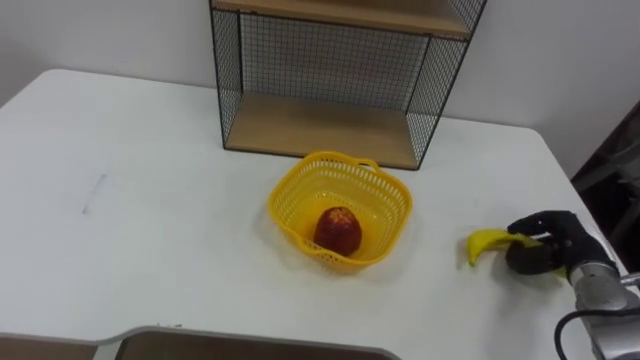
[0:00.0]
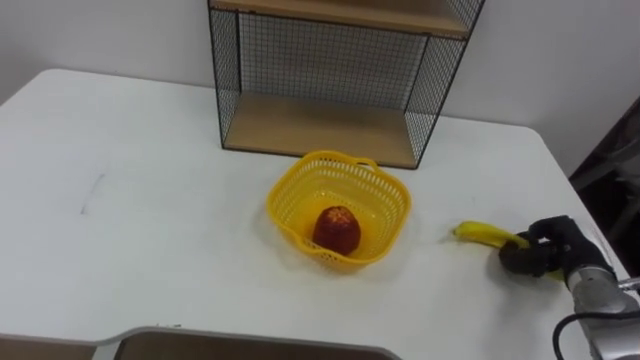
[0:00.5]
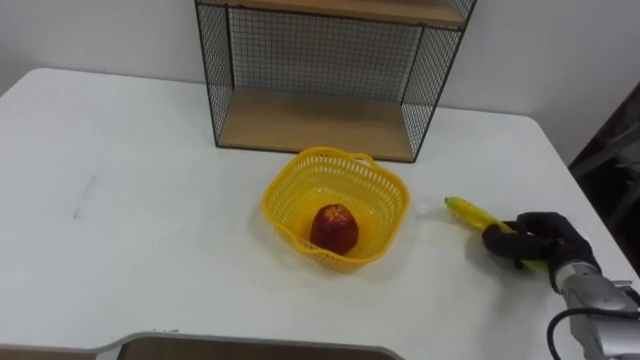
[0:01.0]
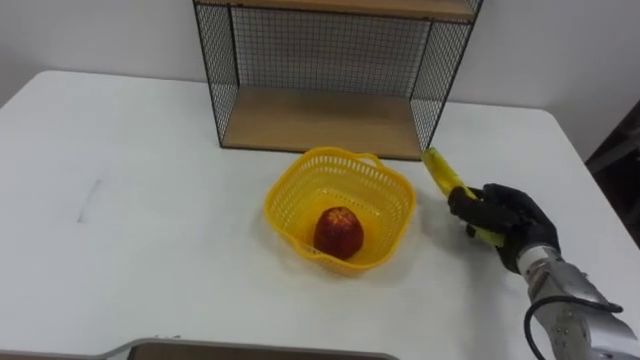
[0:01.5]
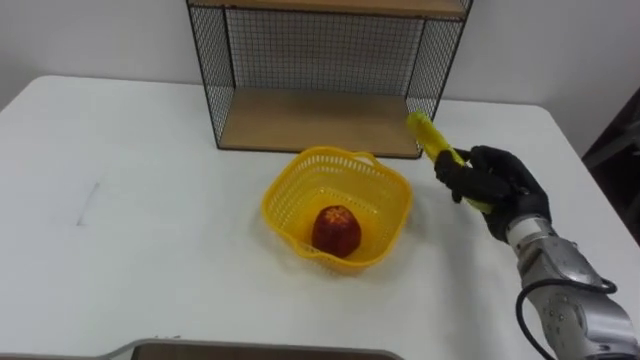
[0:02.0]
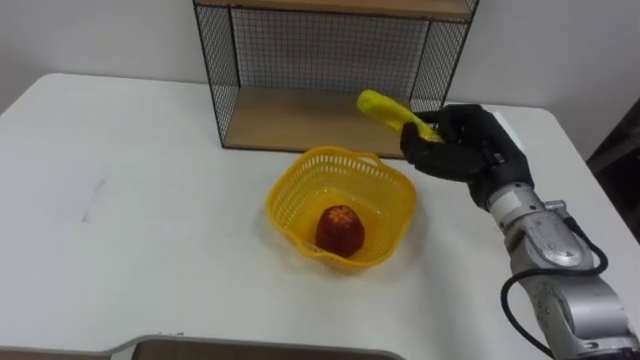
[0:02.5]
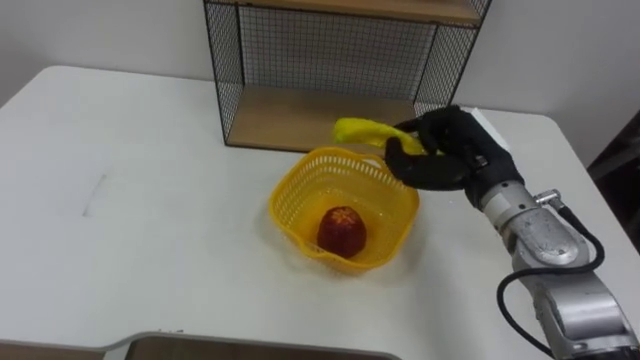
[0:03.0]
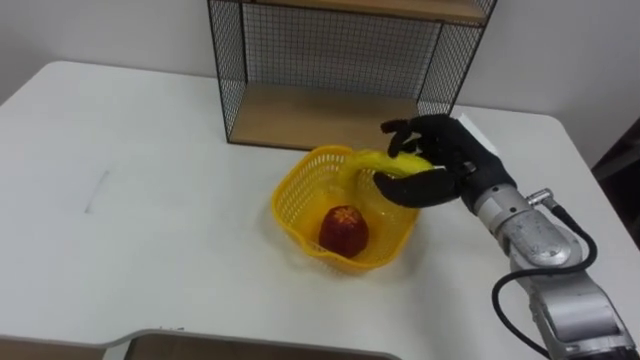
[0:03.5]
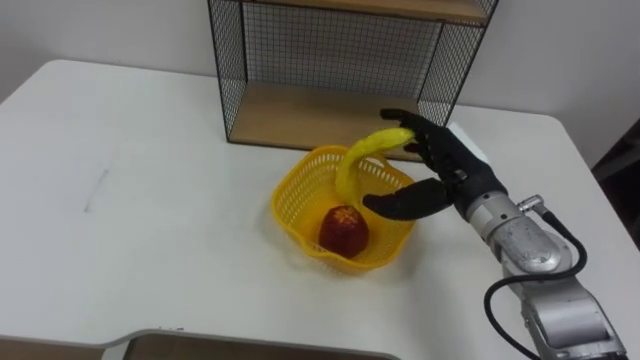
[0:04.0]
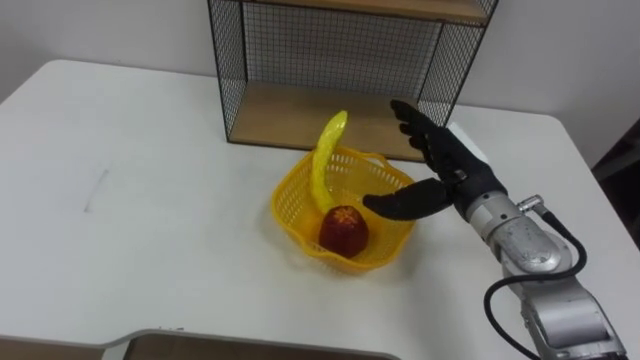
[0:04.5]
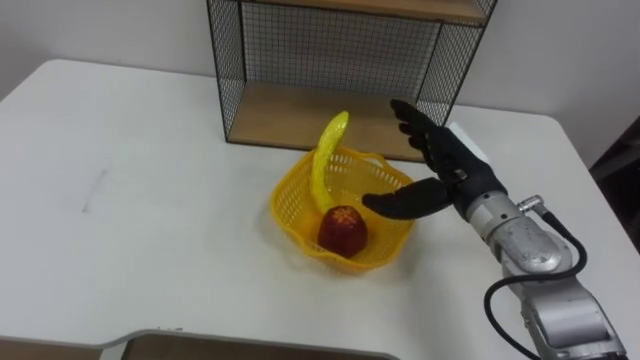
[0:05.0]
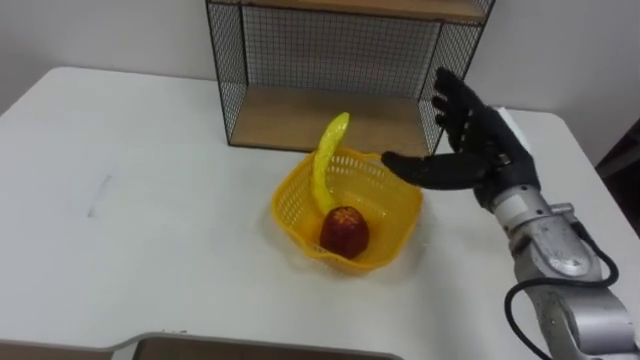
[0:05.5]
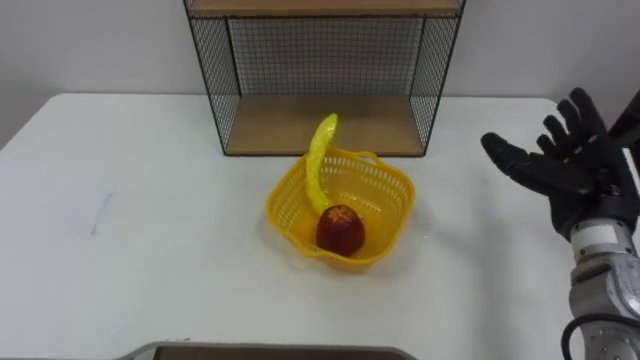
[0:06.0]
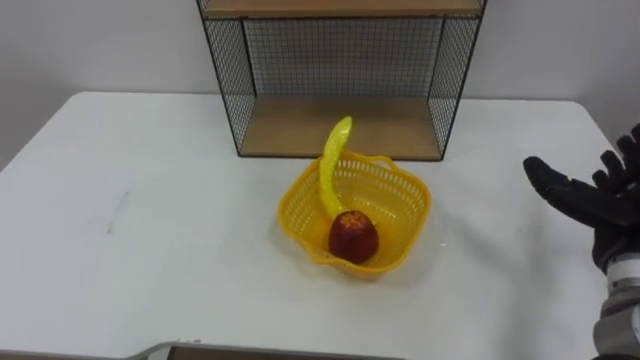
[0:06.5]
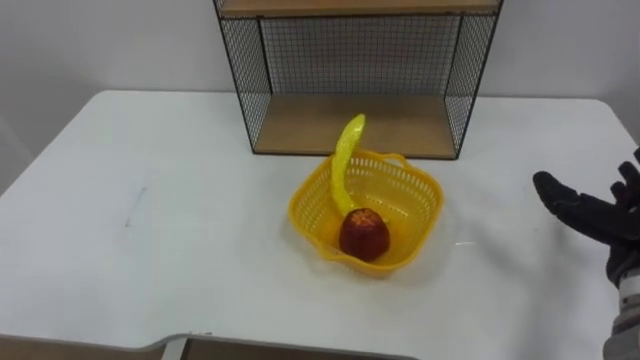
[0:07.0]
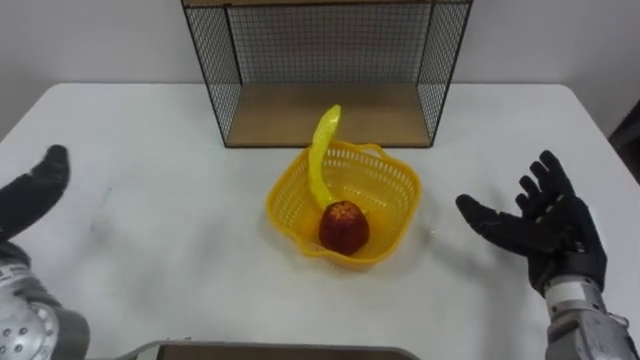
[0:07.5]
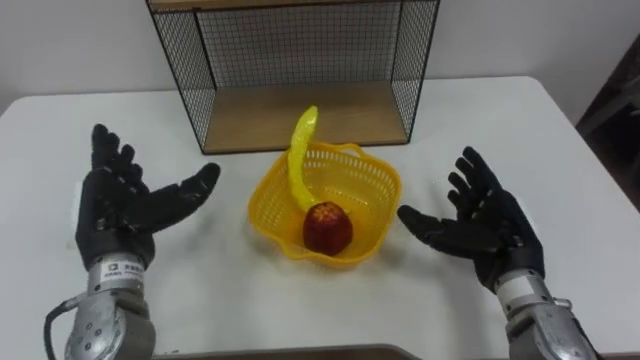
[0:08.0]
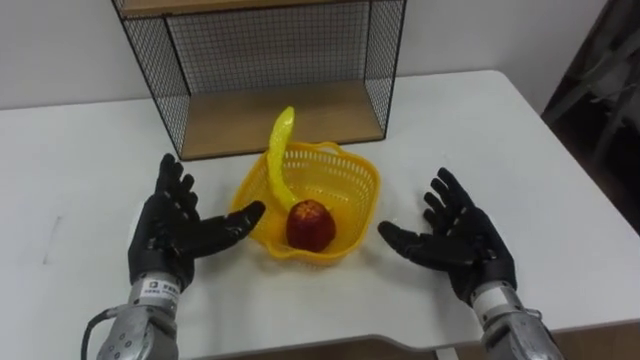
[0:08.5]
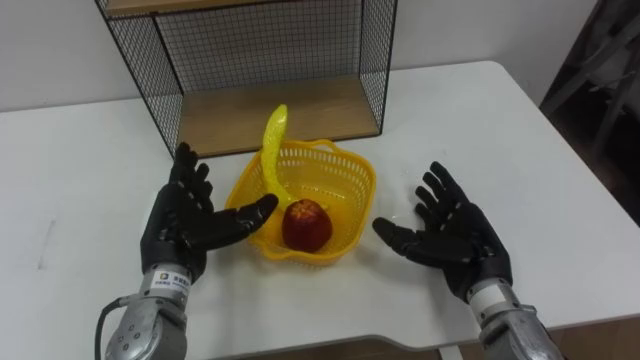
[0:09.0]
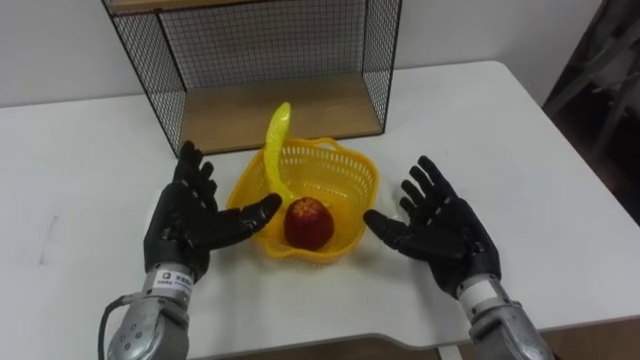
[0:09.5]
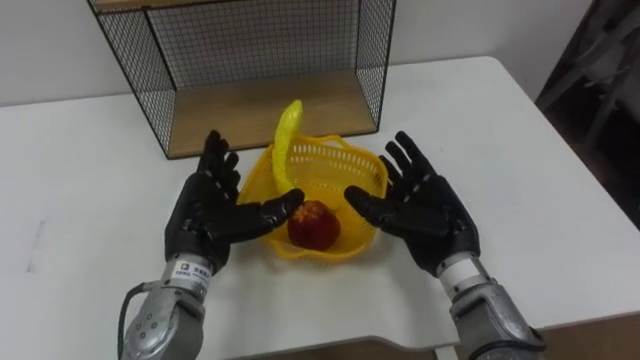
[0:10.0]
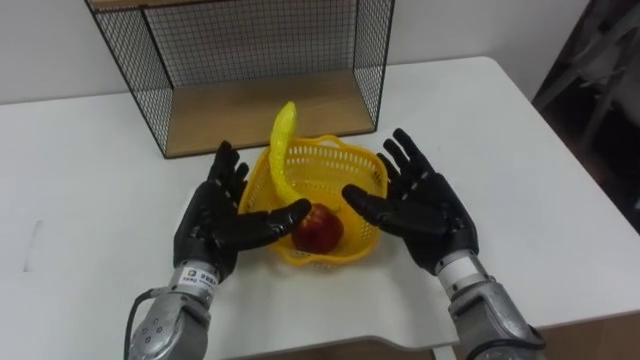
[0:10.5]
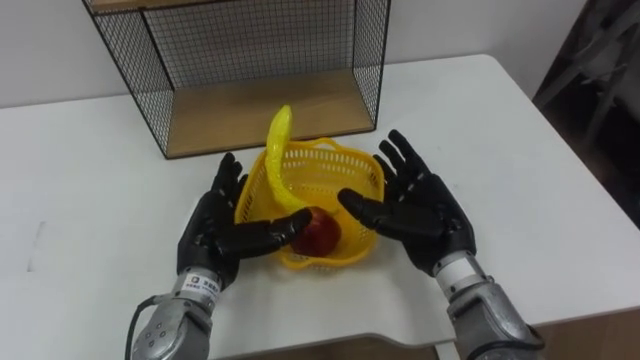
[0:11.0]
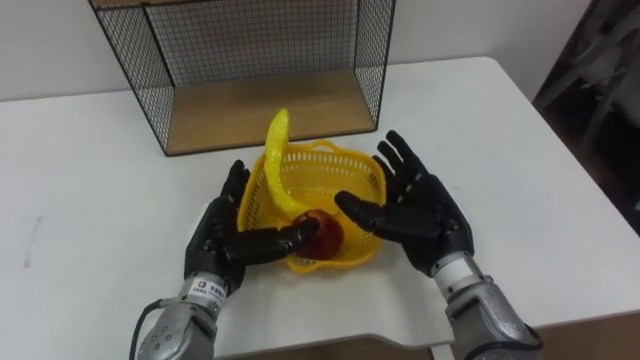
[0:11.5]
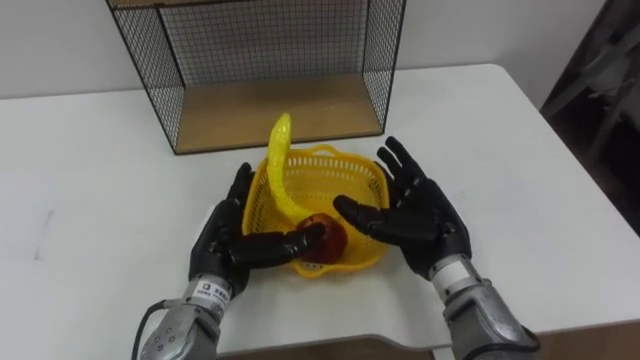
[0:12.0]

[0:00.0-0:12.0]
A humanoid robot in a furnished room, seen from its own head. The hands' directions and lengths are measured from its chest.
Task of the whole recording: Put the fruit on the table into the basket, then place the basket on the shelf.
0:00.0 to 0:02.0: The right hand goes about 10 cm to the left and upward.
0:02.0 to 0:04.0: The right hand is displaced to the left and upward by about 10 cm, and opens its fingers.
0:04.0 to 0:06.0: The right hand is displaced to the right by about 15 cm.
0:08.0 to 0:10.0: The left hand travels to the right by roughly 10 cm, while the right hand travels to the left by some 5 cm.

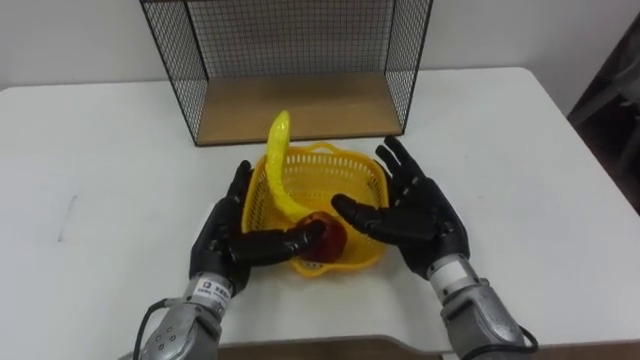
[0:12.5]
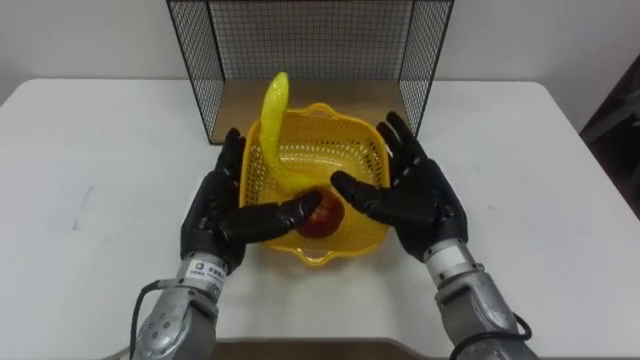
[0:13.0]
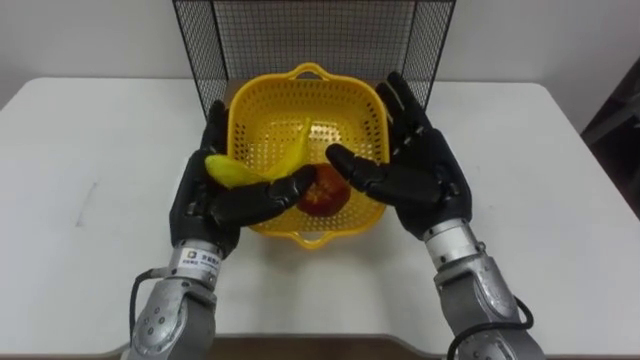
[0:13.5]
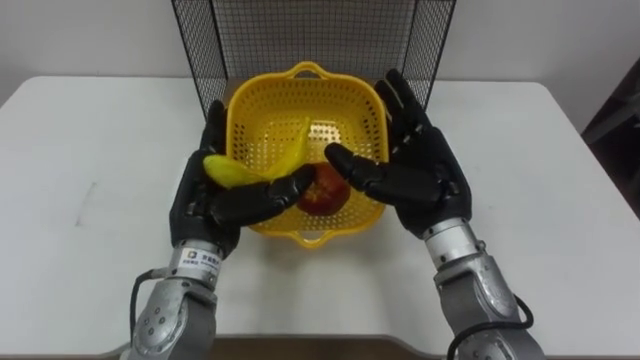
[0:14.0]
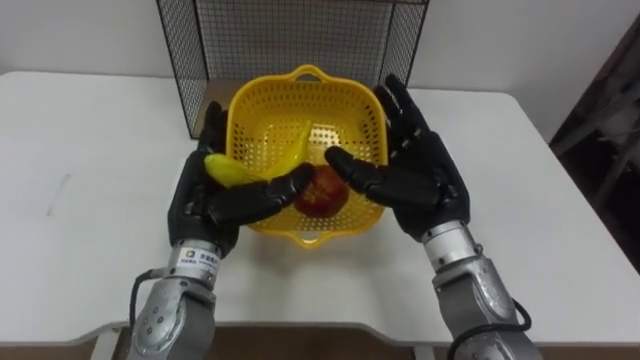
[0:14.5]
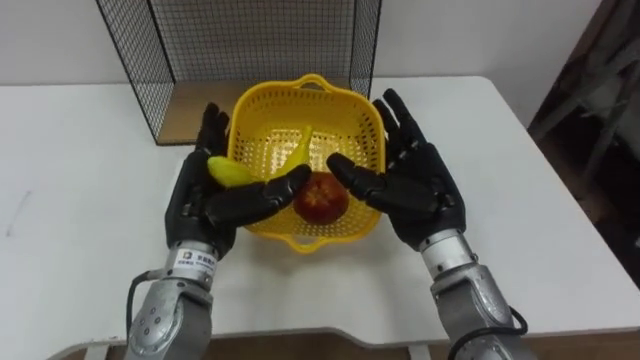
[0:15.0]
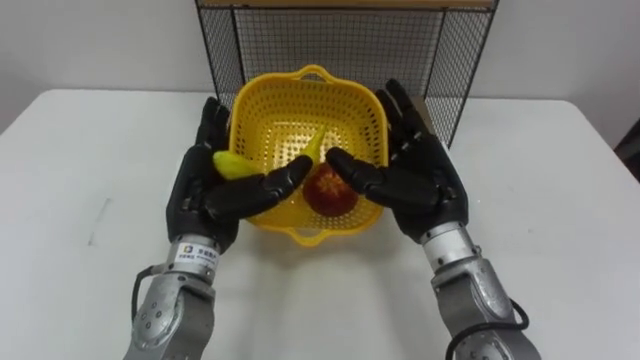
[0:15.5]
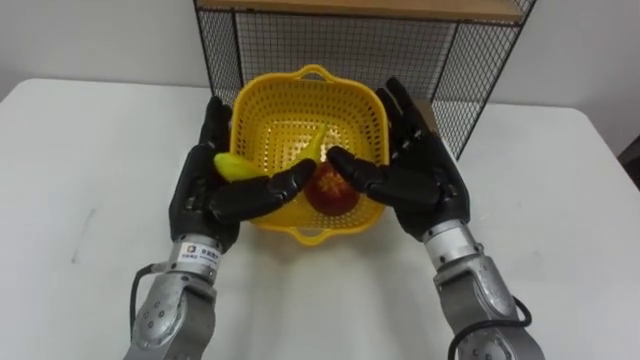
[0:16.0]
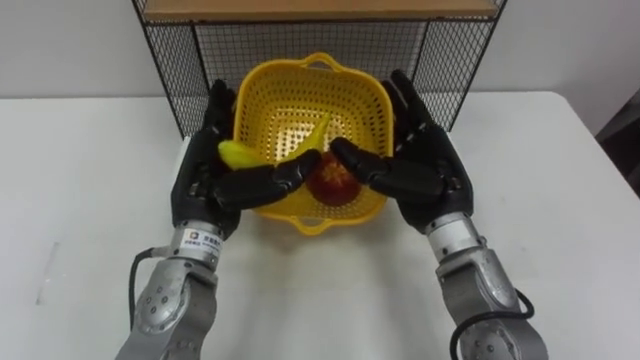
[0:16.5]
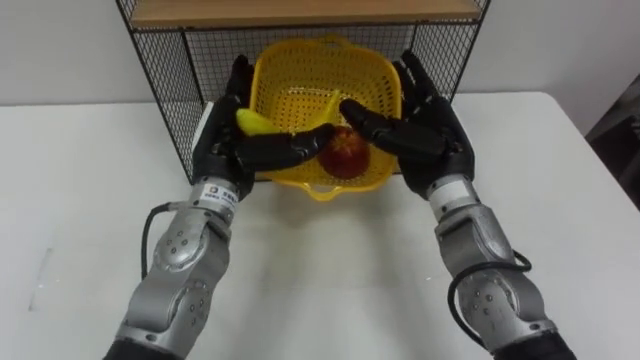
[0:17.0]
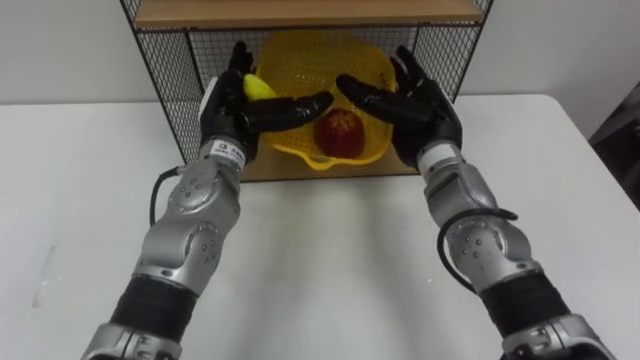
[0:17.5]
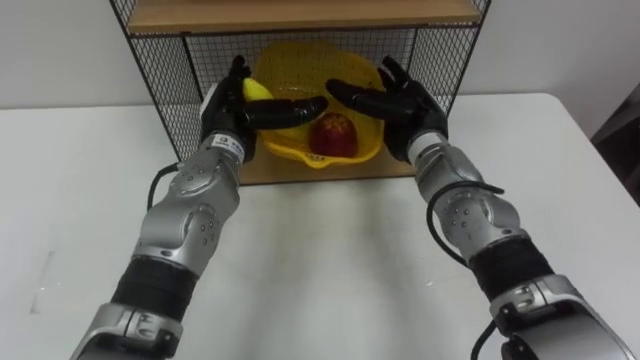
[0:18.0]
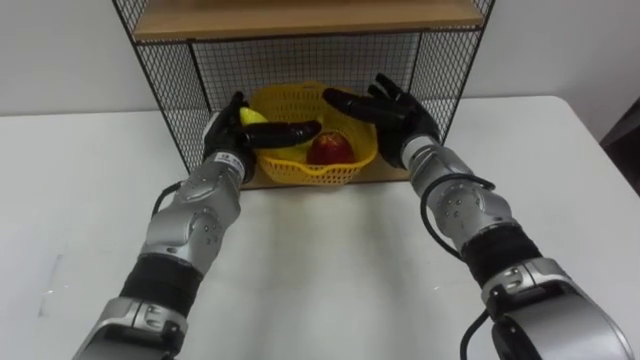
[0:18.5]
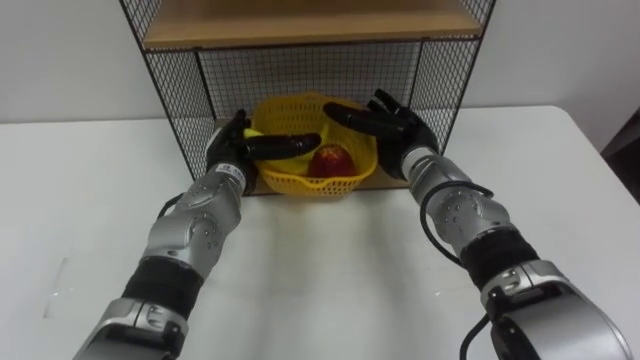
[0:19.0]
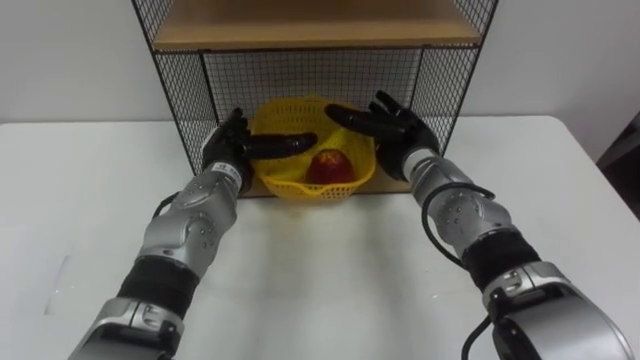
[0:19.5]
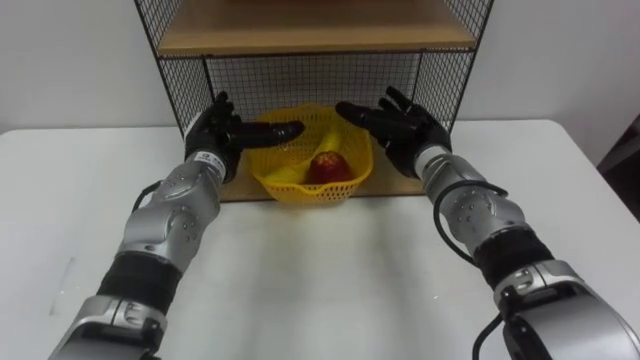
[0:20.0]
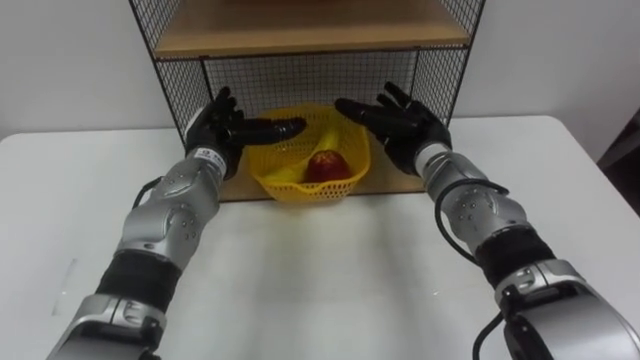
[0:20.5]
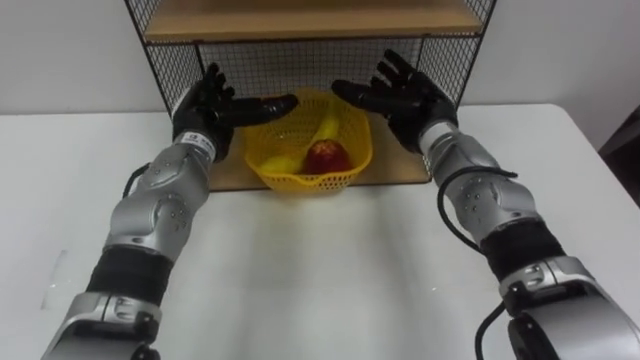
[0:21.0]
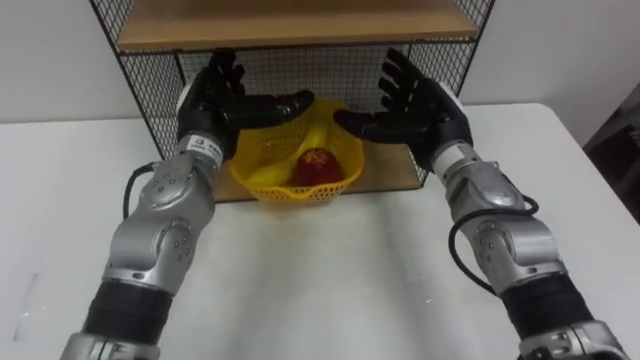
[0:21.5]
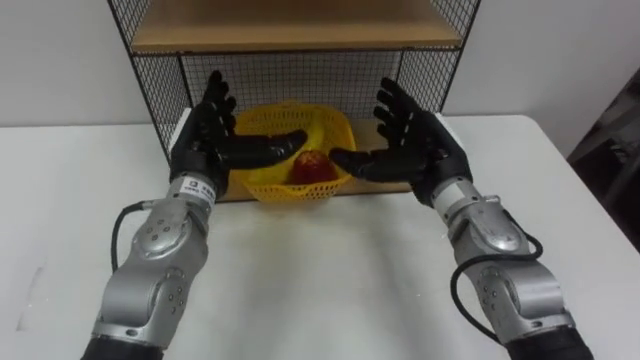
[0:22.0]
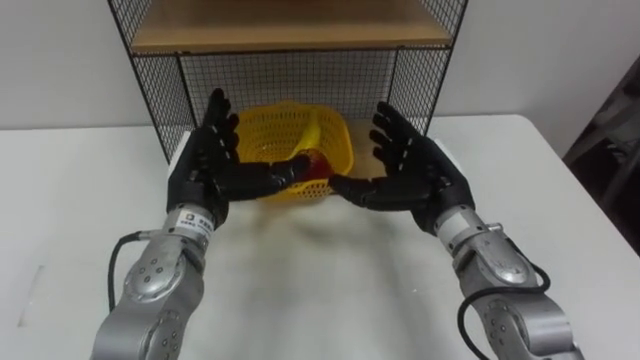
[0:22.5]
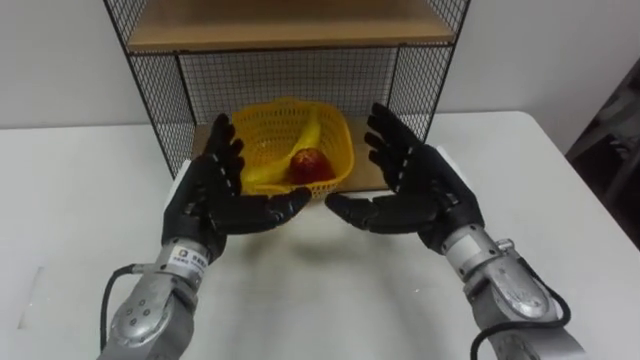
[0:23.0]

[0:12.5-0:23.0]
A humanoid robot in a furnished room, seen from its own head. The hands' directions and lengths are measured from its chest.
Task of the whole recording: Put the fruit on the table into the basket, then place the basket on the shelf.
0:12.5 to 0:14.5: The hands both shift upward by approximately 5 cm.
0:16.5 to 0:19.0: Both hands travel together forward and downward, about 10 cm.
0:19.0 to 0:21.0: The left hand changes place by approximately 5 cm.
0:21.0 to 0:23.0: Both hands travel together backward, some 10 cm.
